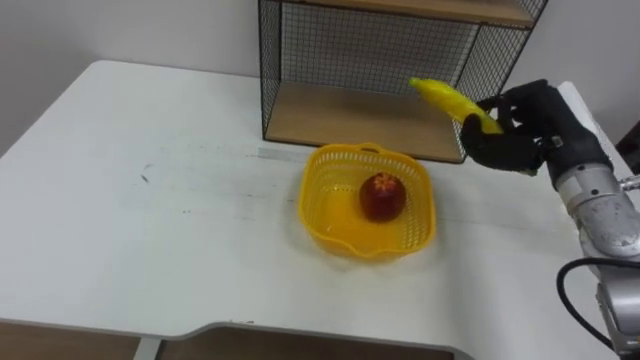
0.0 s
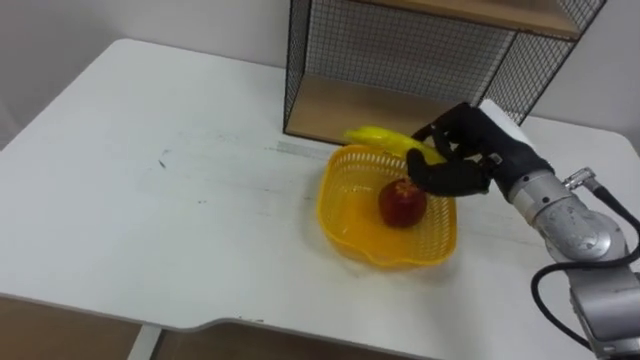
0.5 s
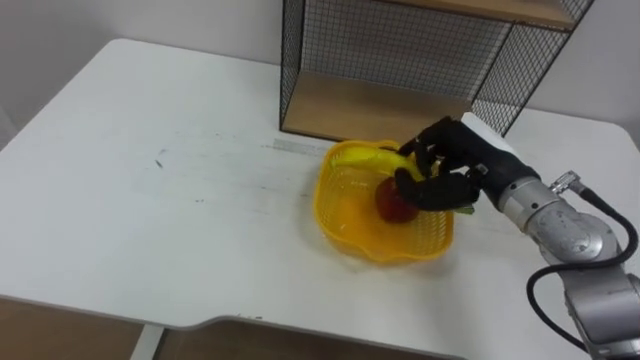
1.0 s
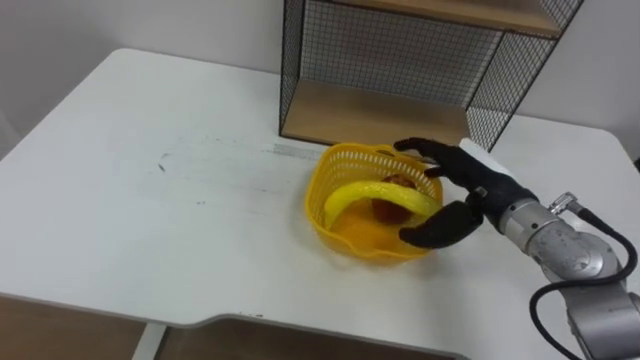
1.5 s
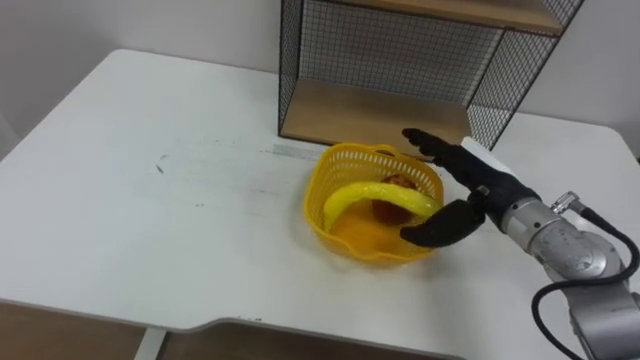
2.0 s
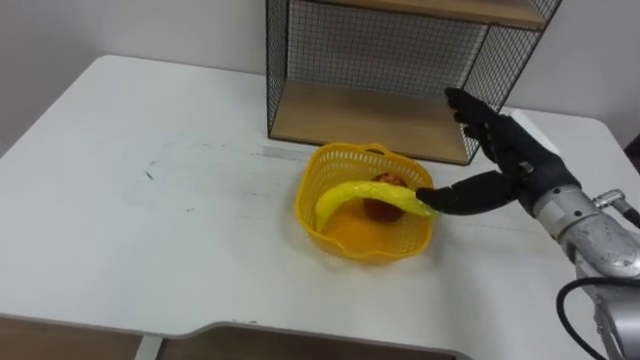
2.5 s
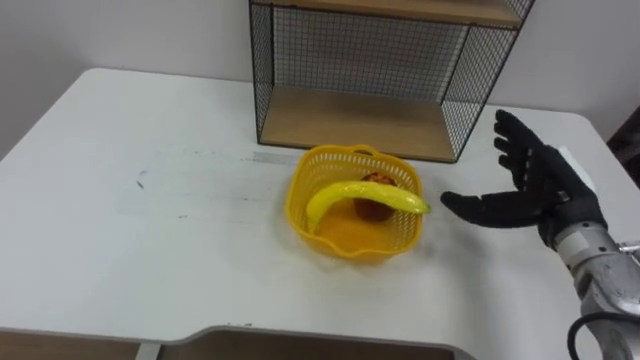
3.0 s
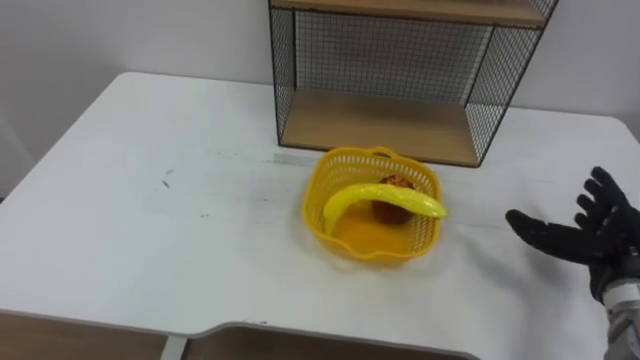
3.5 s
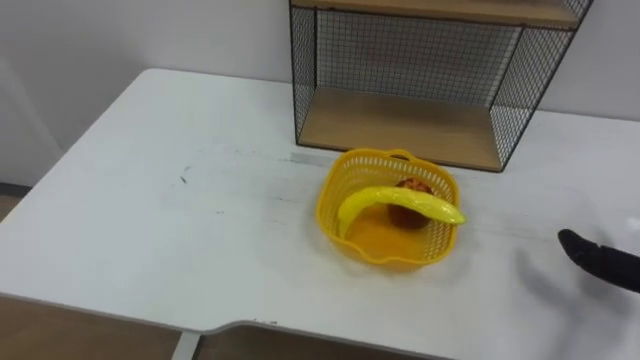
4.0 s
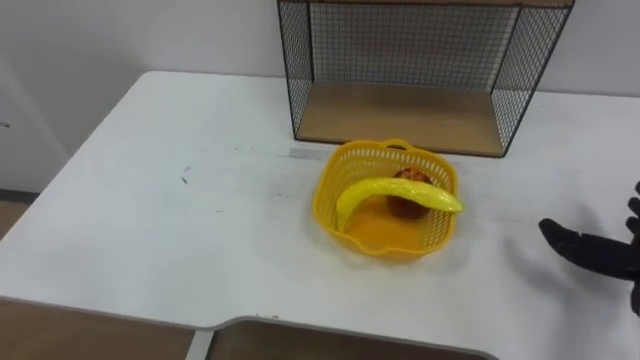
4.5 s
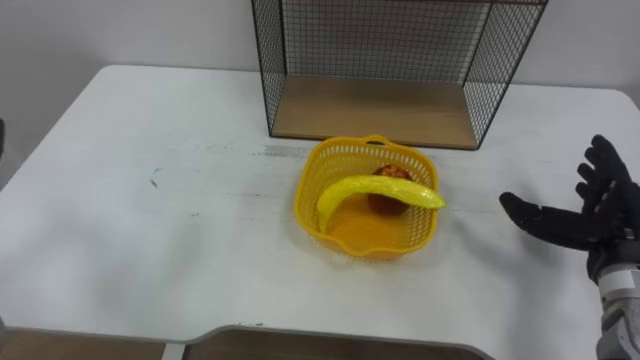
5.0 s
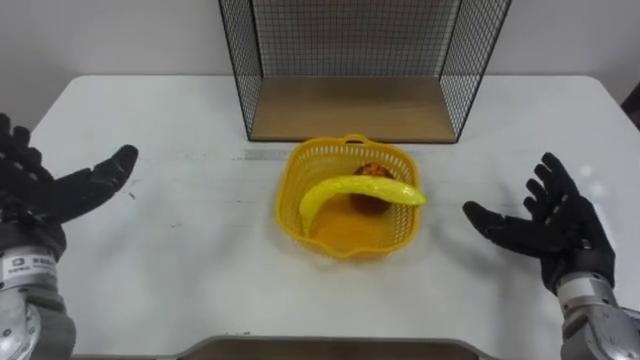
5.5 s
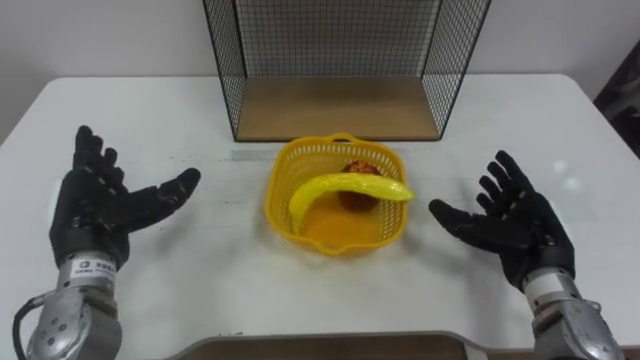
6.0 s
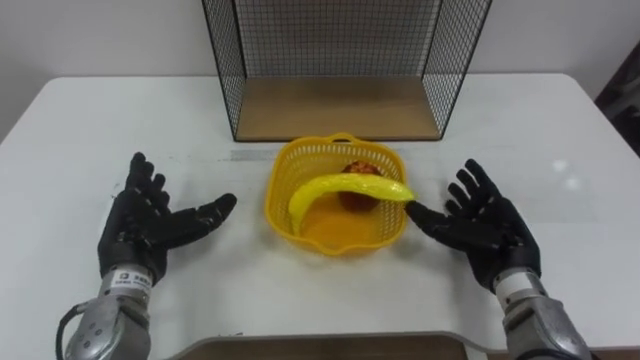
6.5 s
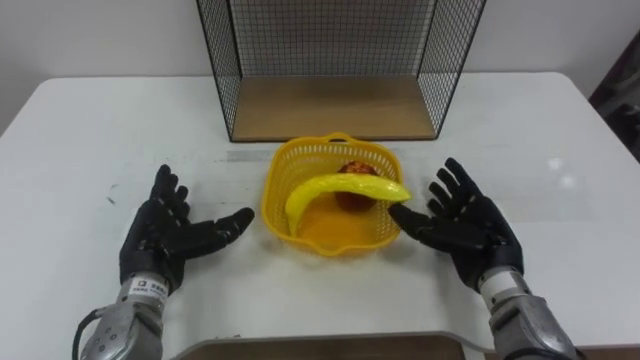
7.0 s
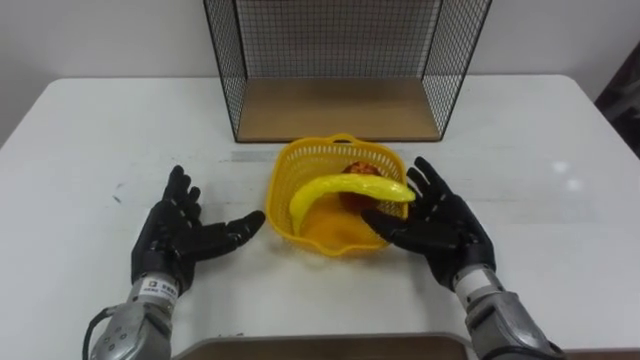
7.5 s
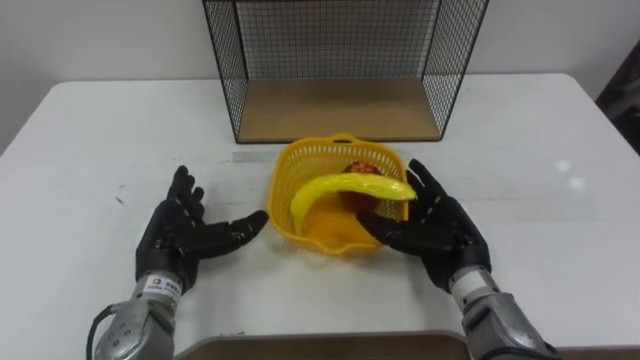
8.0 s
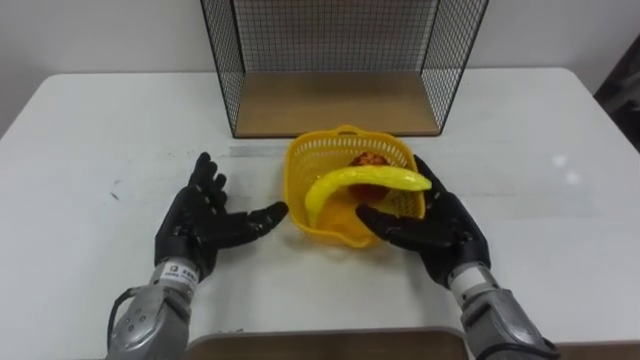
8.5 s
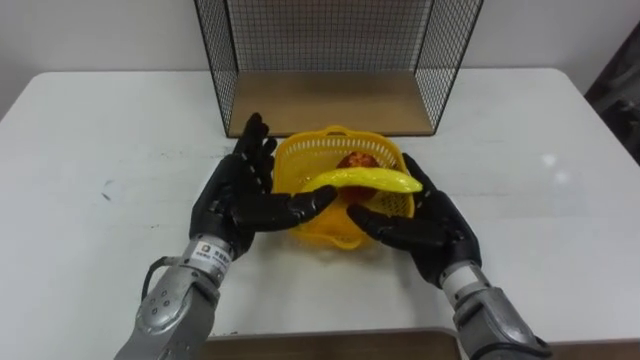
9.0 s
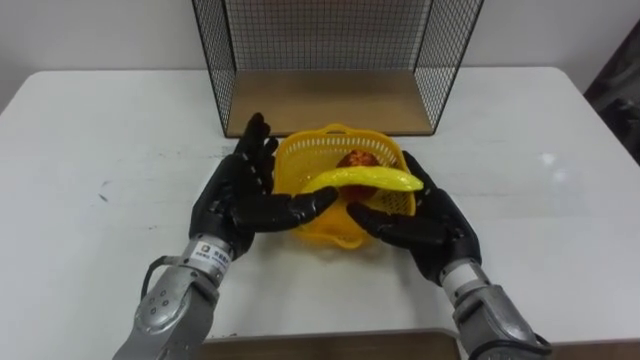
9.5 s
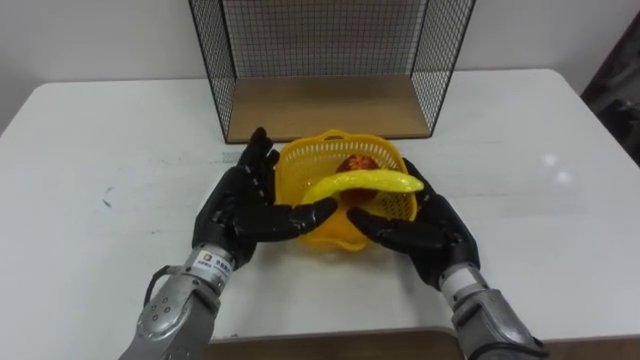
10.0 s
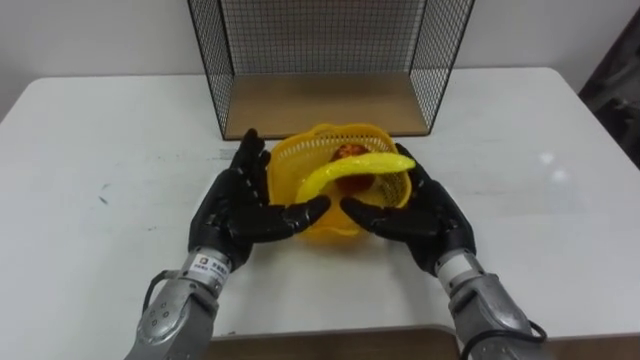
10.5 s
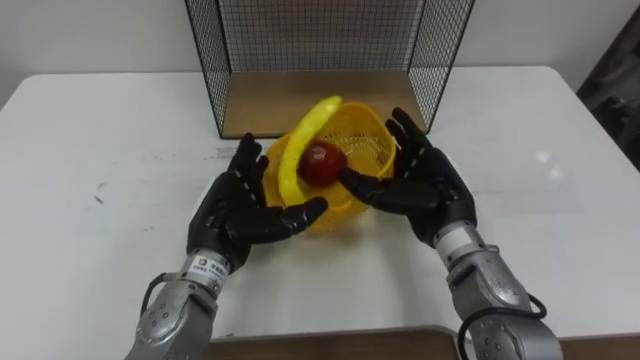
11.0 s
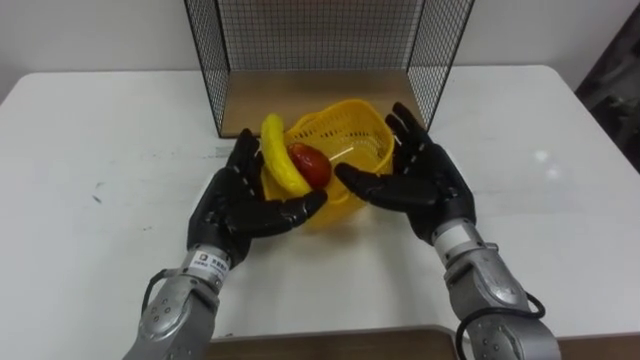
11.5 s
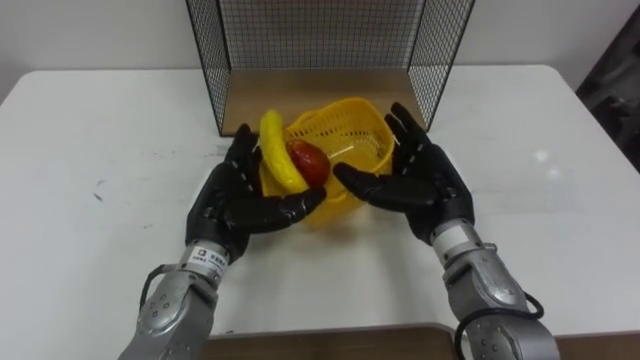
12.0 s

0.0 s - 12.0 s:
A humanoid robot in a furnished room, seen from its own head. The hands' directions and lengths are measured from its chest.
Task of the whole recording: Put the fruit on the table into the basket, then place the basket on the shelf.
0.0 s - 2.0 s: The right hand heads to the left and downward, covering some 10 cm, and opens up.
6.0 s - 8.0 s: The right hand goes roughly 10 cm to the left. The left hand travels to the right and downward by some 10 cm.
8.0 s - 10.0 s: The left hand is displaced to the right by approximately 10 cm.
10.0 s - 12.0 s: The right hand travels upward by about 5 cm.

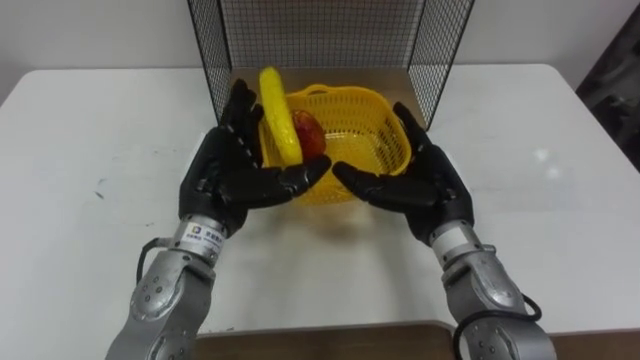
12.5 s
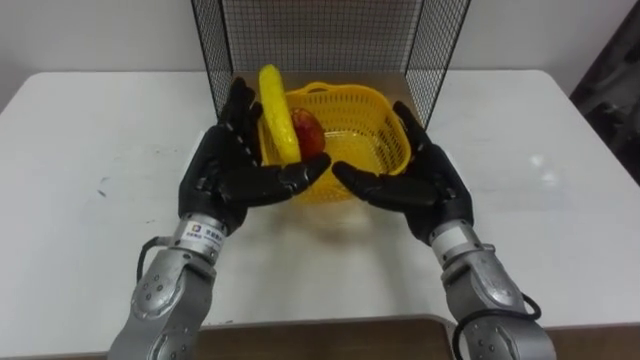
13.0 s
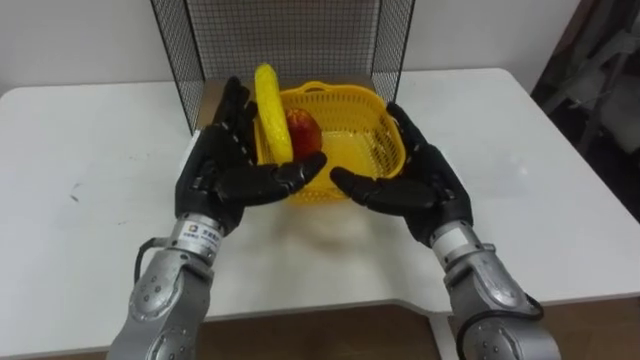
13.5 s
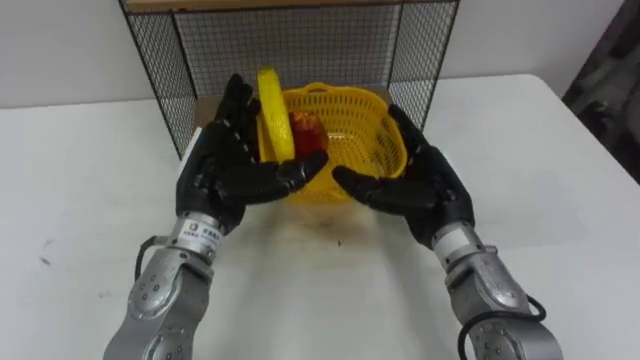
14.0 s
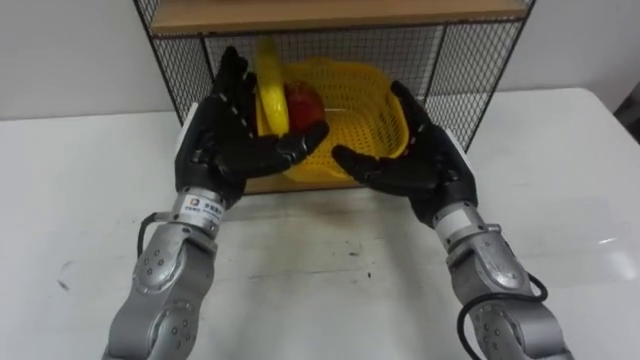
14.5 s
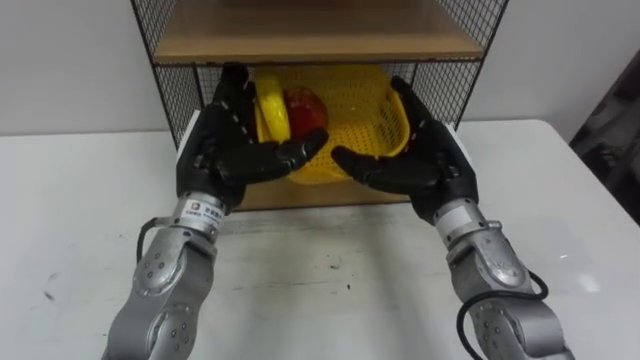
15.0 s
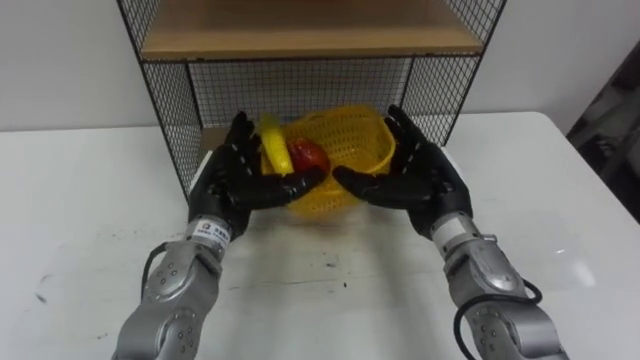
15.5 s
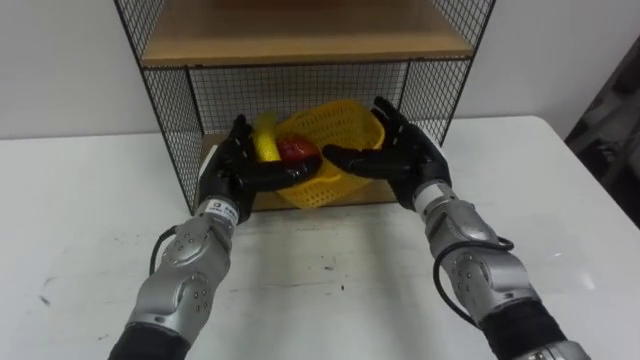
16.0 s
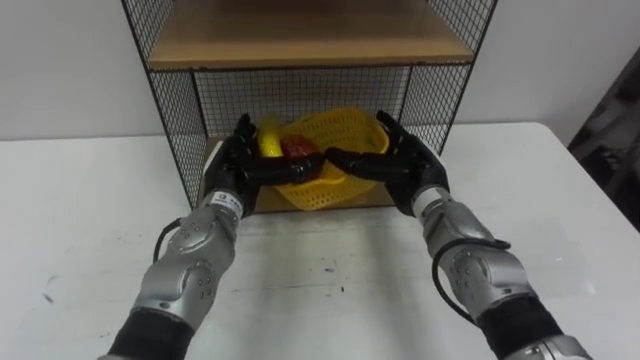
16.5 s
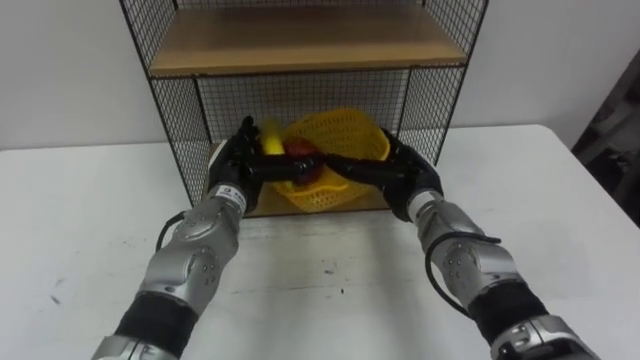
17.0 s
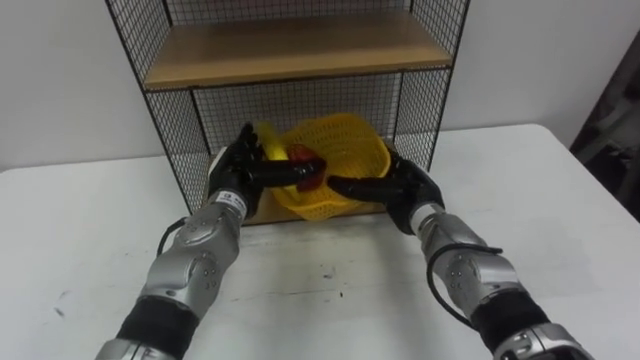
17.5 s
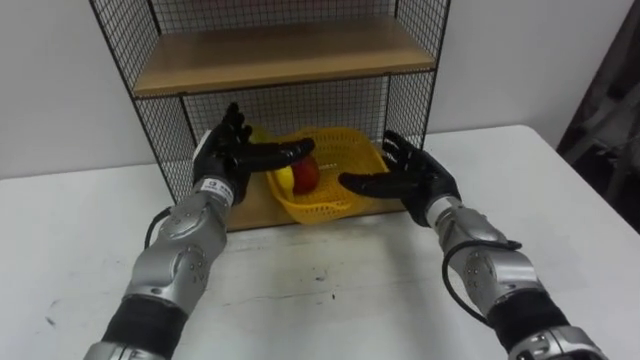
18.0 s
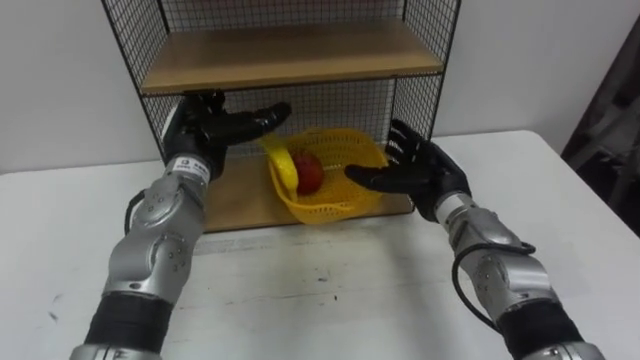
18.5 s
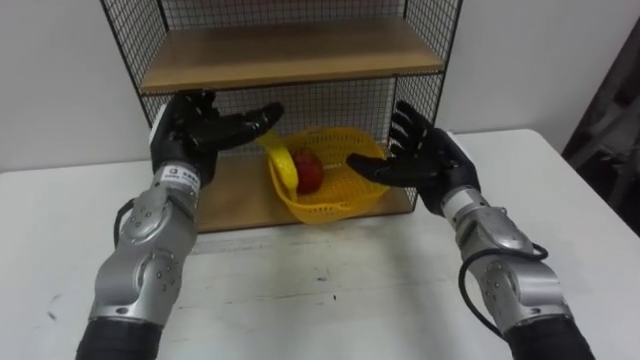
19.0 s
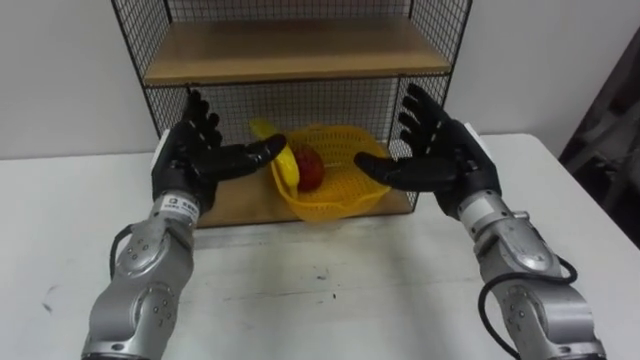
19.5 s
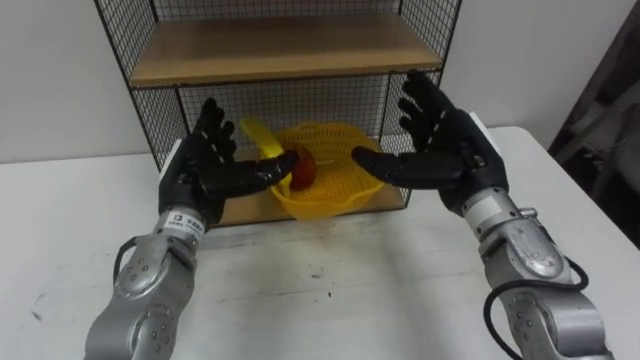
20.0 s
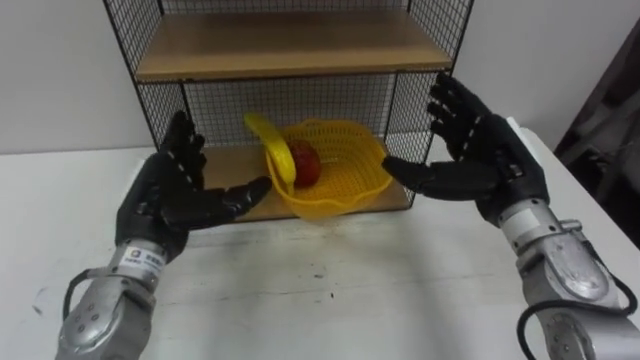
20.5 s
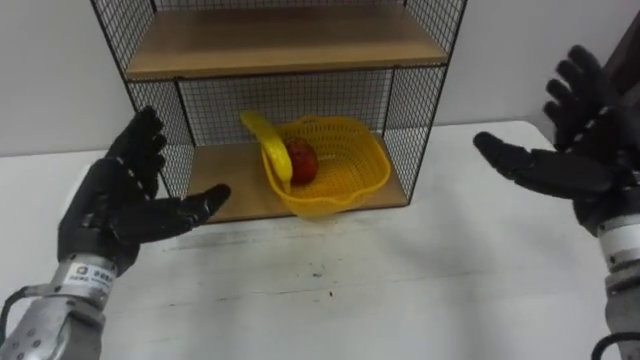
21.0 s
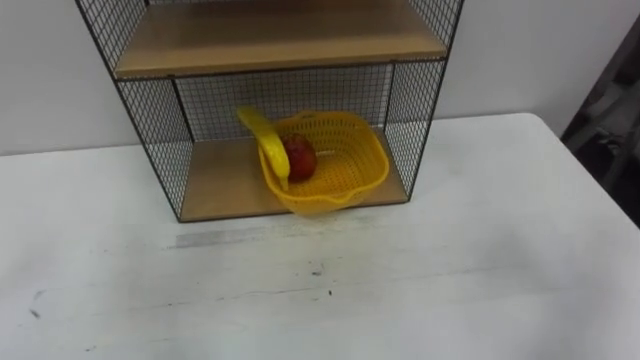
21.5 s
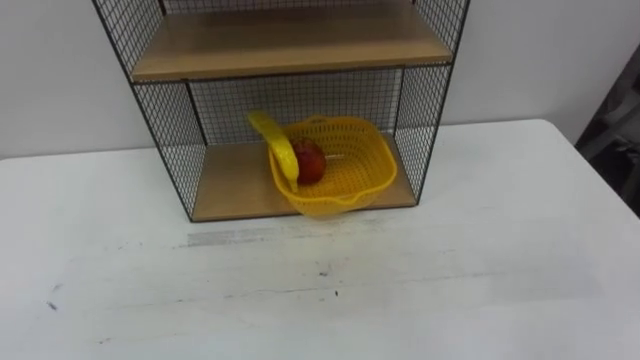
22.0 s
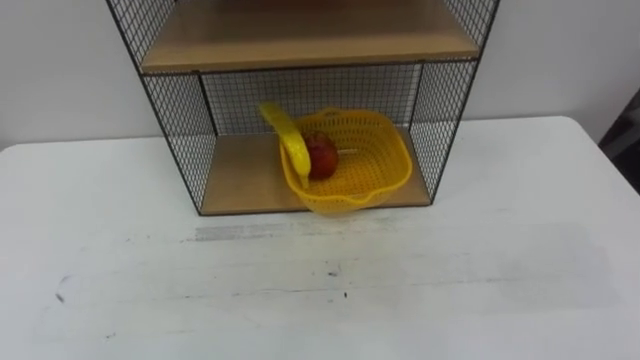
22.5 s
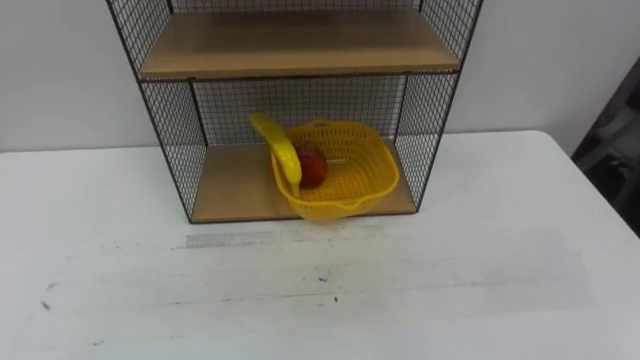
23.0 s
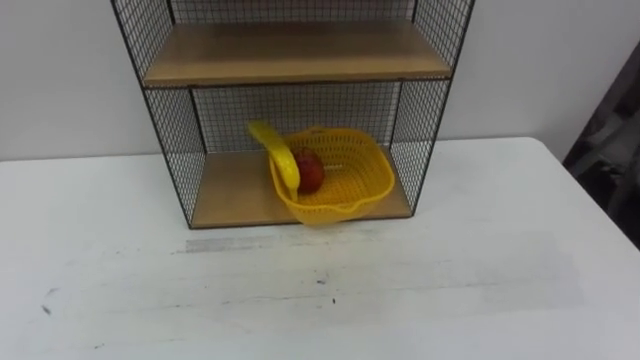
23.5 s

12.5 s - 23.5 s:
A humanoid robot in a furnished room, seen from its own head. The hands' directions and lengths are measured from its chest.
Task of the whole recording: Put the fruit on the table into the basket, then place the basket on the shelf.
14.5 s - 16.0 s: The left hand travels downward by about 10 cm, while the right hand changes place by roughly 5 cm.
16.0 s - 18.0 s: The right hand ends up about 5 cm from where it was.
18.0 s - 20.0 s: The right hand moves upward, about 10 cm. Meanwhile the left hand travels backward by about 5 cm.
